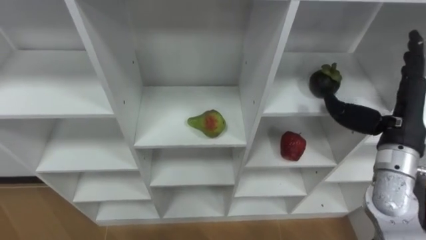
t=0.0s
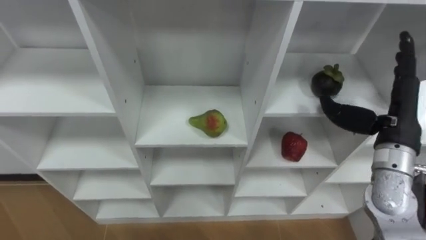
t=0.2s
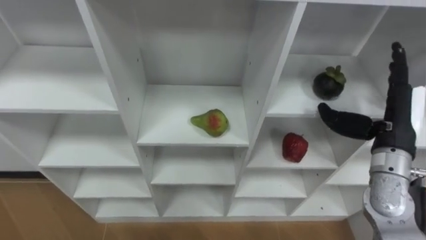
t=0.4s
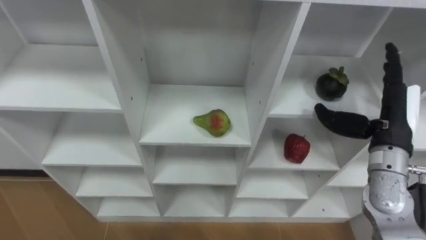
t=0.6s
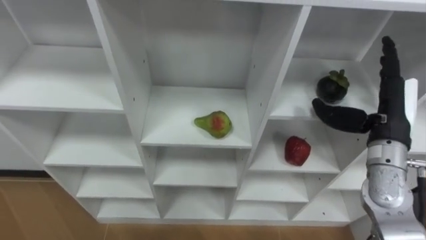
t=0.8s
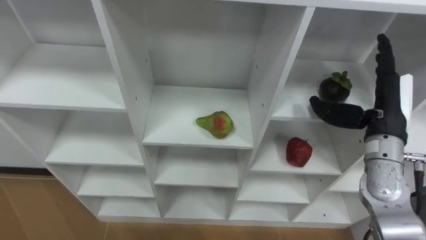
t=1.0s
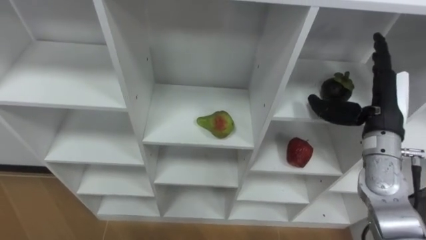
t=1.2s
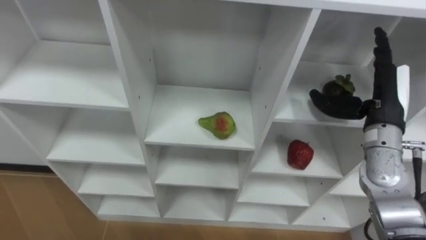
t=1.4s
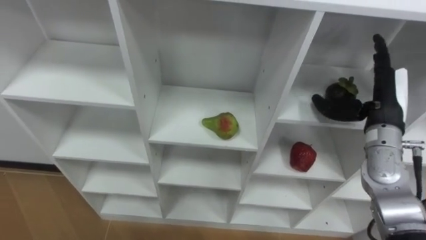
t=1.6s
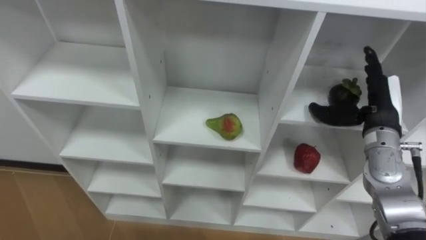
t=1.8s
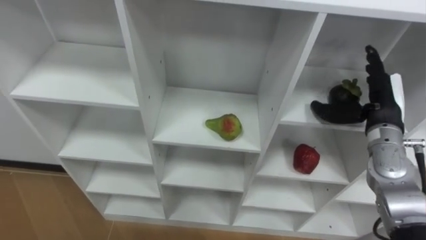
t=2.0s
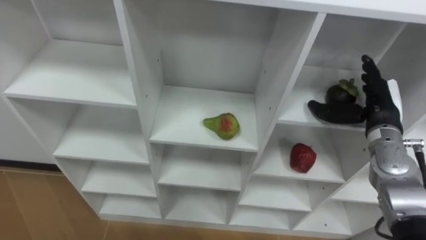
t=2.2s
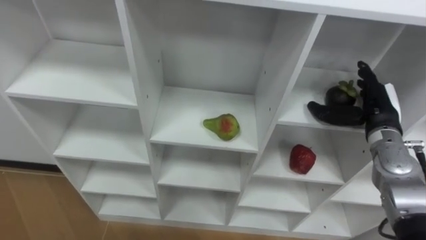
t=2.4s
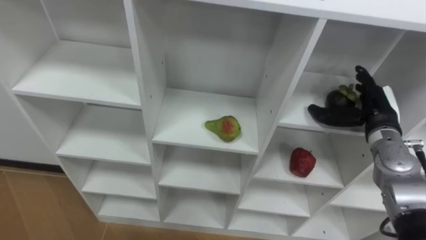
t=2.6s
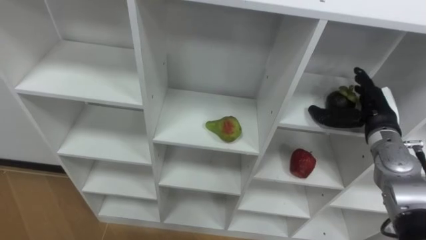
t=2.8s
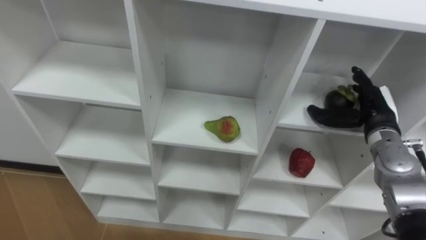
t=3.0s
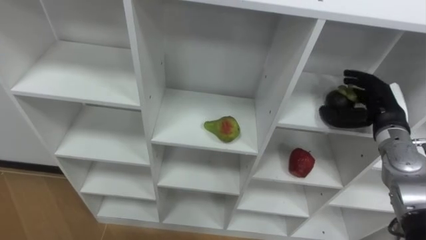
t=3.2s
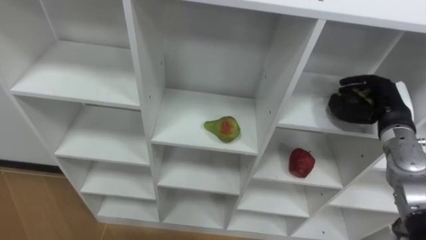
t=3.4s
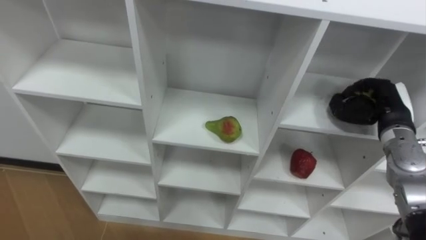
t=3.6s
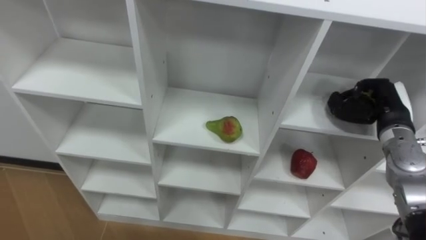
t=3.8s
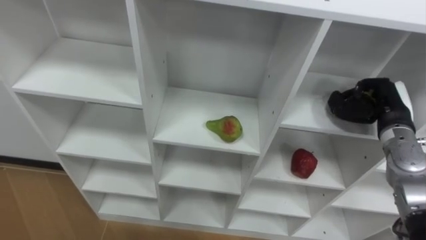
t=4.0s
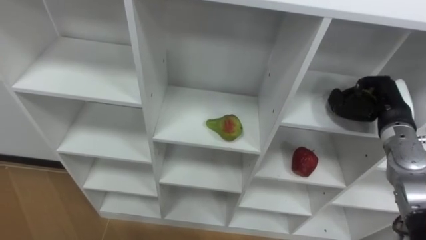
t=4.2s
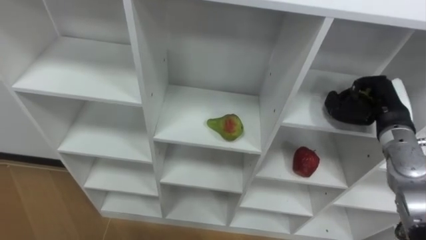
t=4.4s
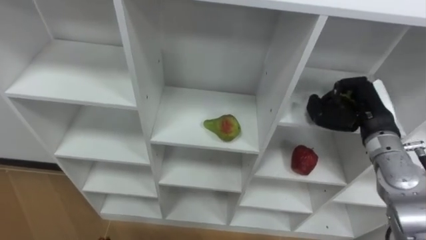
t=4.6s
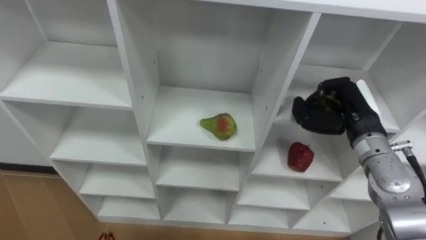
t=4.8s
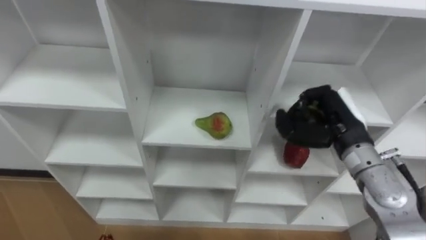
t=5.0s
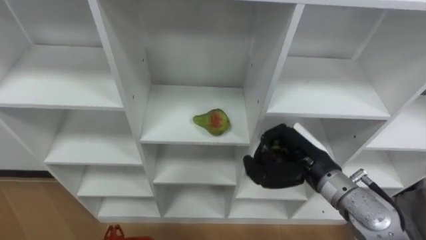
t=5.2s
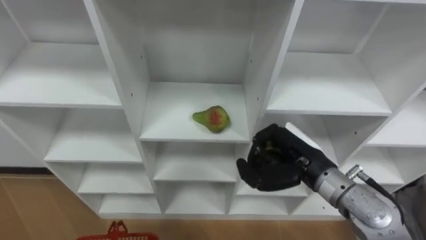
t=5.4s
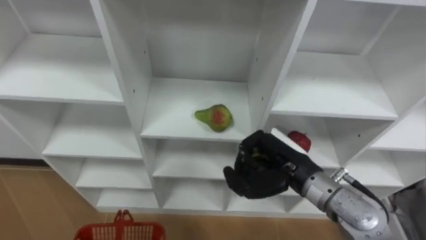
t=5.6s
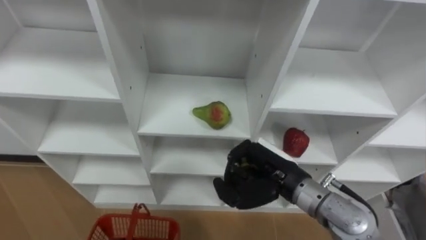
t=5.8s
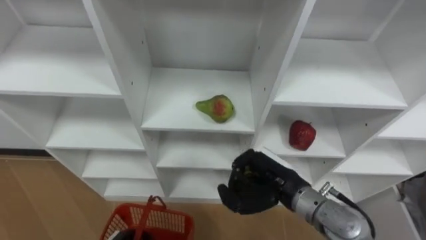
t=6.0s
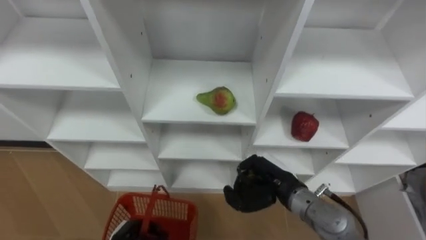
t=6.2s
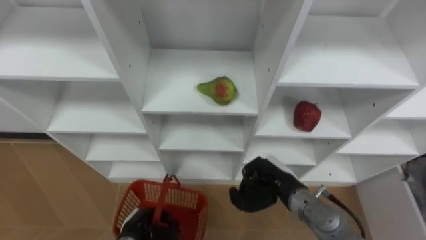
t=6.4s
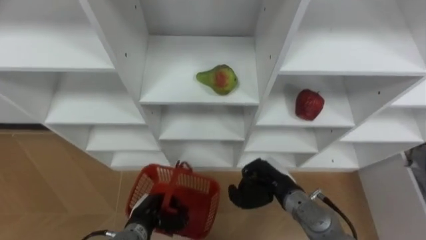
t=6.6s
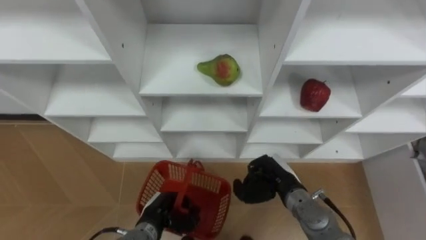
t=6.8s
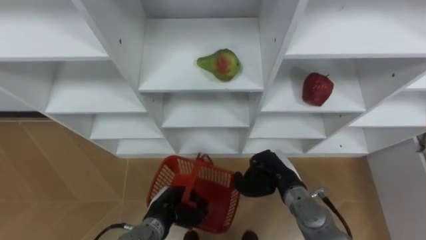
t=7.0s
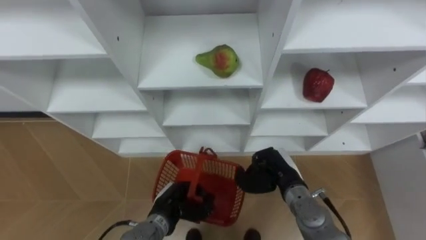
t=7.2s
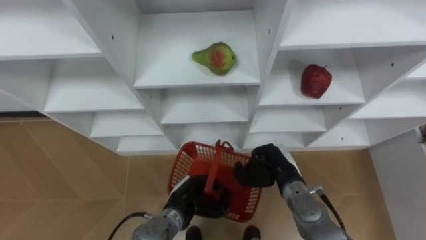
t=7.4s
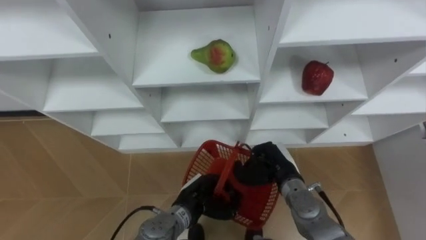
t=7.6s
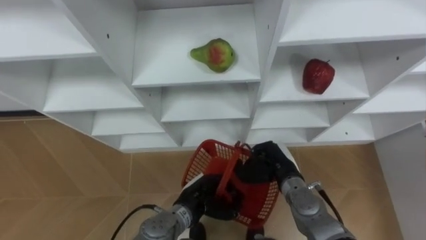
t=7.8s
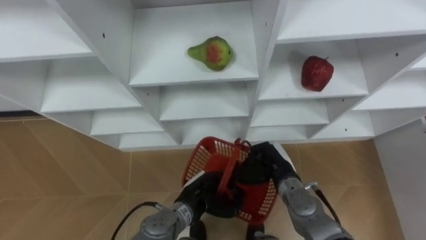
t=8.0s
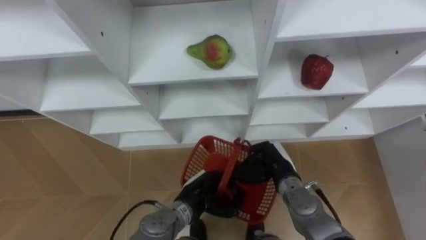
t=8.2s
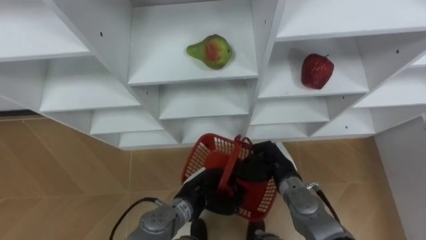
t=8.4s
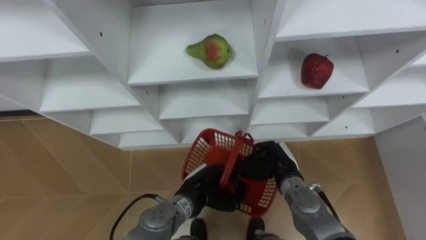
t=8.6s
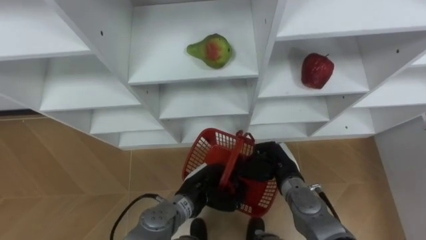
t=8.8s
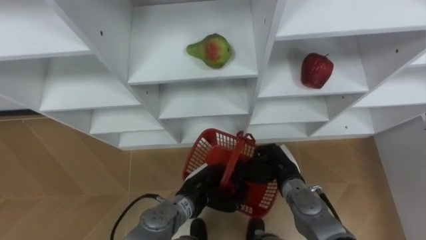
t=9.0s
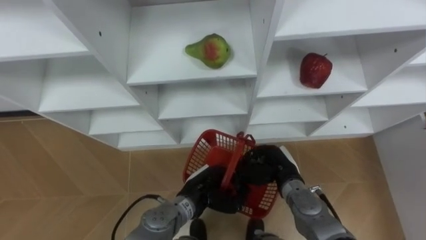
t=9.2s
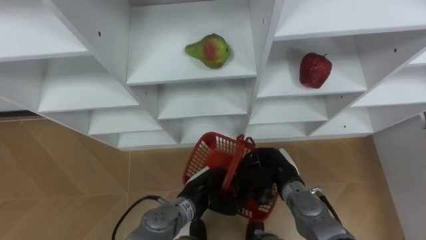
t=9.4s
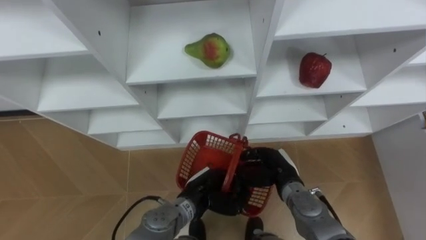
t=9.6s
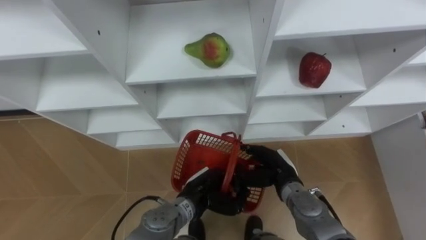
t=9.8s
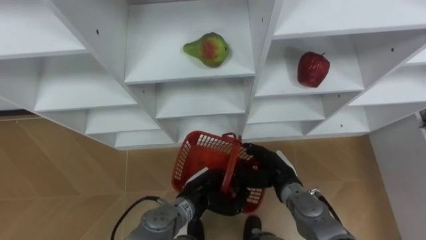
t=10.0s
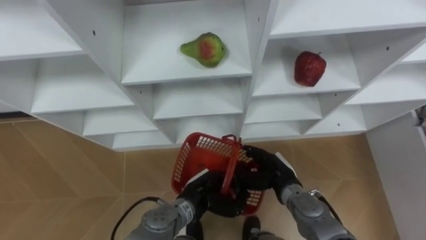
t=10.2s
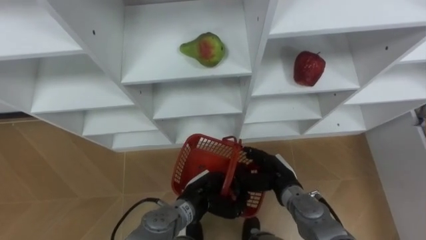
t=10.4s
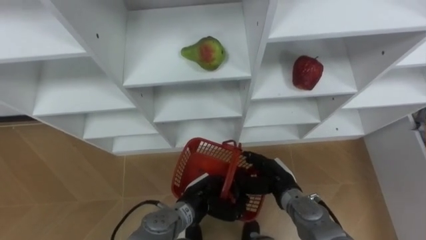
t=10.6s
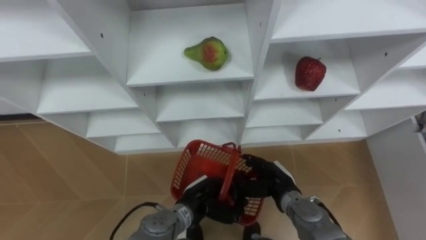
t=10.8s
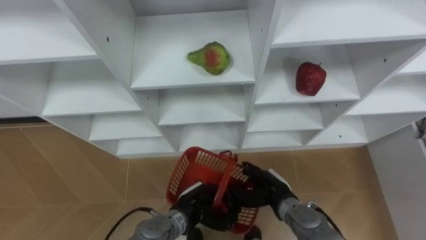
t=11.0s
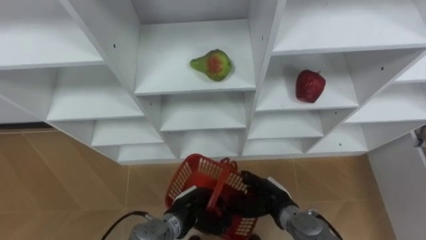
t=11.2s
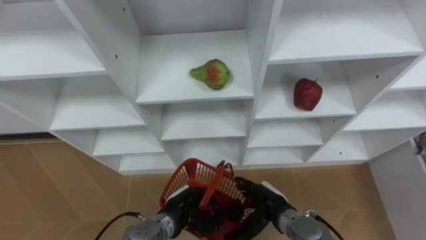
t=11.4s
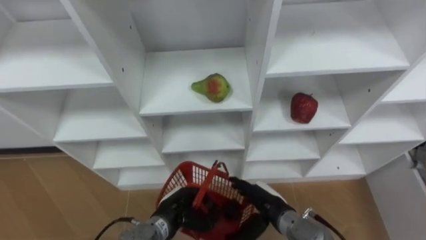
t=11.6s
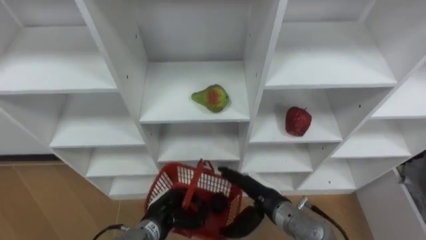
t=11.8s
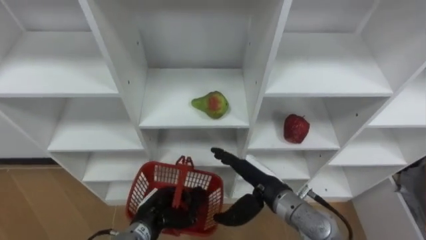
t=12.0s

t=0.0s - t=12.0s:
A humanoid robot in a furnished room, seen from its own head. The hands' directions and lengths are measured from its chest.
Task of the whole recording: Hold the basket and collect the fruits from 3 different cells of the closet into it.
t=0.0s - t=1.6s: The right hand shifts about 5 cm forward.
t=1.6s - t=3.0s: The right hand is displaced downward by about 5 cm.
t=3.0s - t=4.4s: The right hand closes.
t=4.4s - t=6.0s: The right hand goes about 20 cm to the left and backward.
t=6.0s - t=7.6s: The right hand heads downward, covering approximately 10 cm.
t=9.0s - t=10.4s: The right hand opens up.
t=10.4s - t=12.0s: The right hand goes approximately 5 cm upward, while the left hand moves to the left, roughly 10 cm.

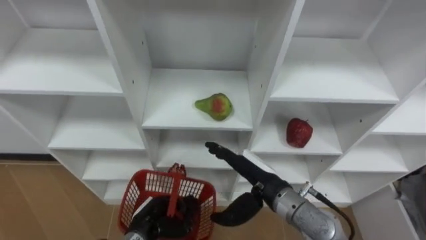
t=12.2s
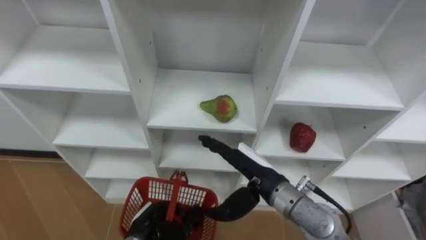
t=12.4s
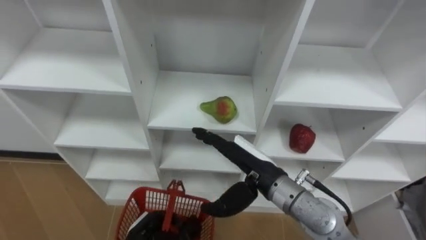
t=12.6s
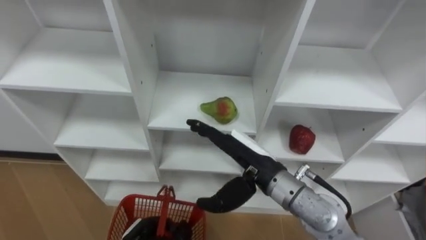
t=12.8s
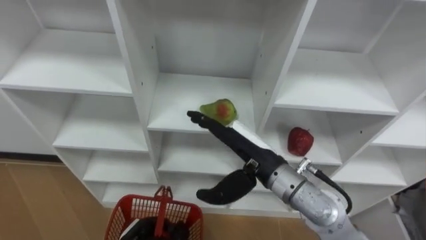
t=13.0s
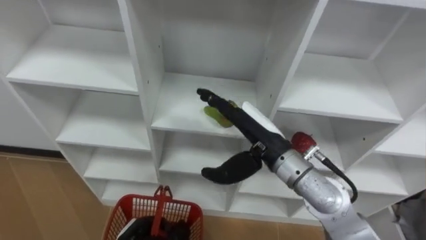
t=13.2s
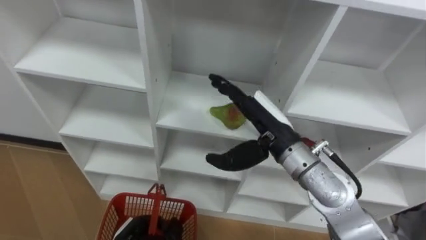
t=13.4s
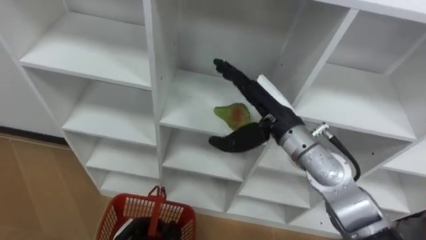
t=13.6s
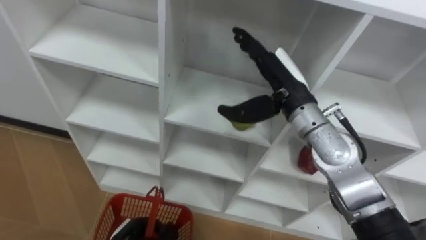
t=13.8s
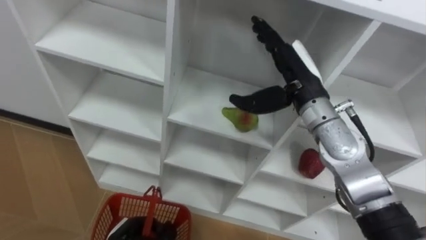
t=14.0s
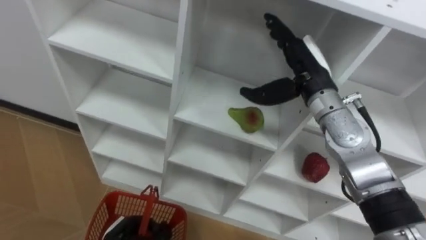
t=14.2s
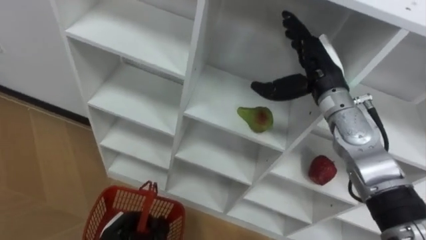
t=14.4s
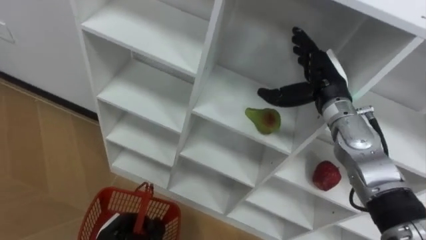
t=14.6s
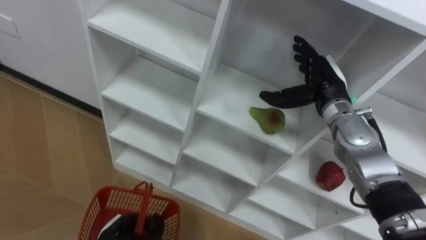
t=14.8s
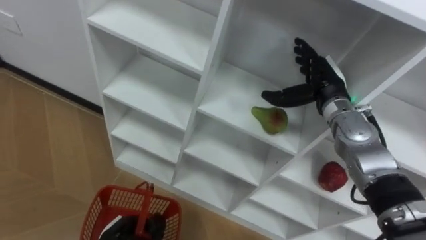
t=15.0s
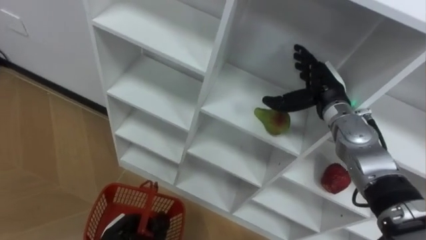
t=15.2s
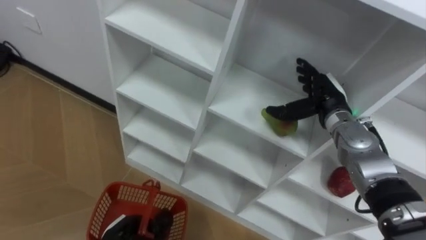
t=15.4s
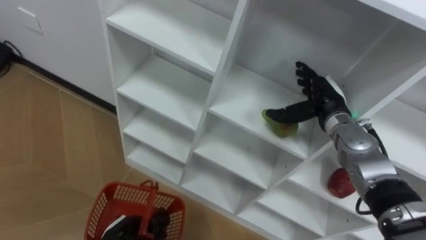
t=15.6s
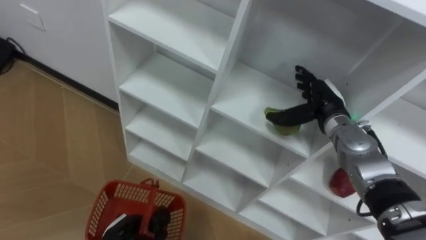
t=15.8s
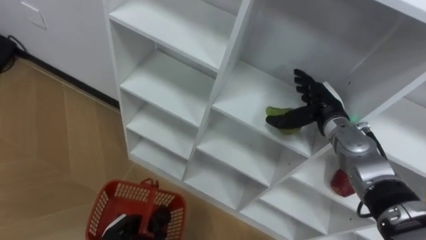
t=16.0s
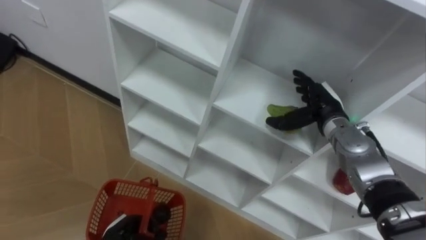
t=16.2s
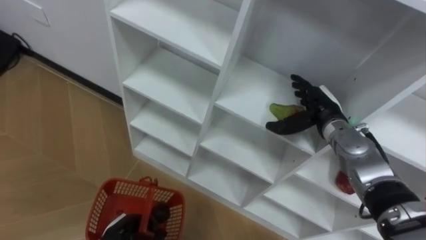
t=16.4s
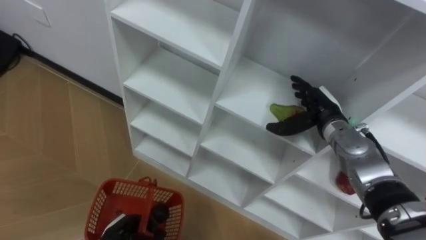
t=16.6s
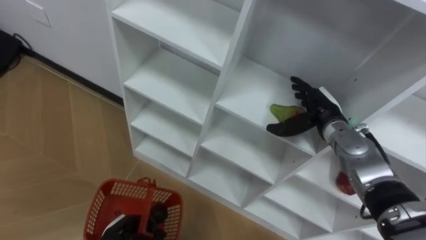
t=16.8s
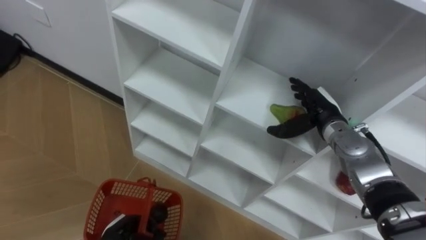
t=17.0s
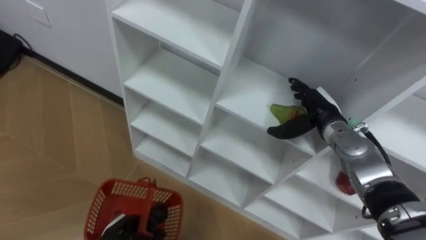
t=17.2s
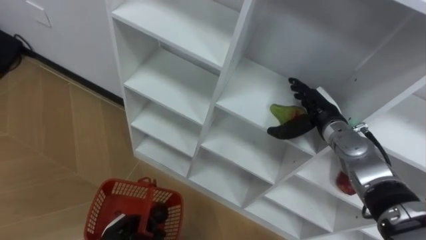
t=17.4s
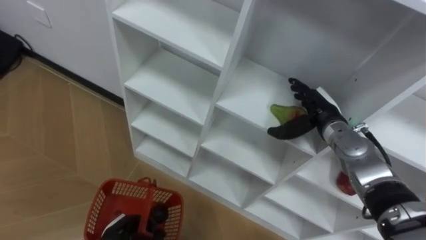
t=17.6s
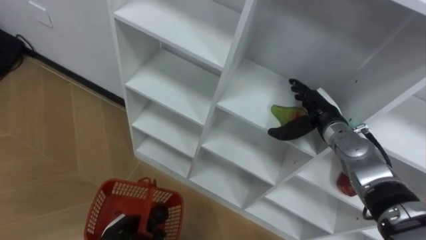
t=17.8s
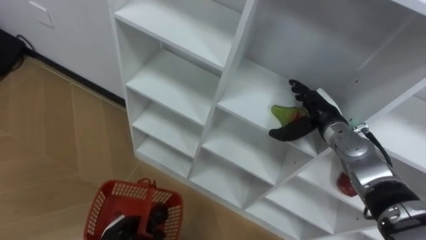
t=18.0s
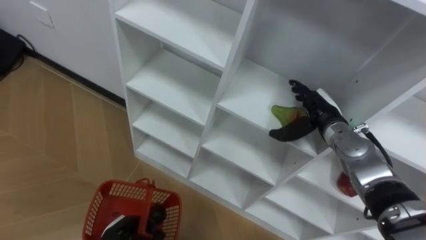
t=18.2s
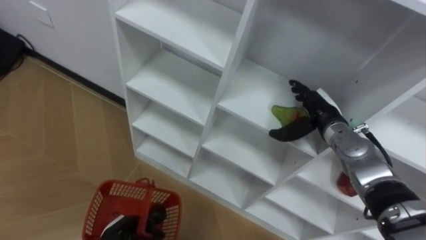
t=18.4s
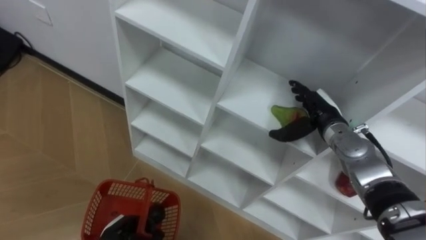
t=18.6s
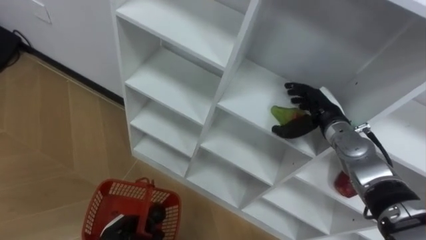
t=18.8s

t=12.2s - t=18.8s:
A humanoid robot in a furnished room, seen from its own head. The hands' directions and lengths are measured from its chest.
Task of the whole recording: Hold the basket and collect the fruits from 3 different cells of the closet into it.
t=12.2s - t=13.8s: The right hand is displaced upward and forward by about 15 cm; the left hand moves approximately 5 cm.
t=13.8s - t=15.4s: The right hand travels to the right and downward by some 15 cm.
t=17.2s - t=18.8s: Both hands stay about where they are.
